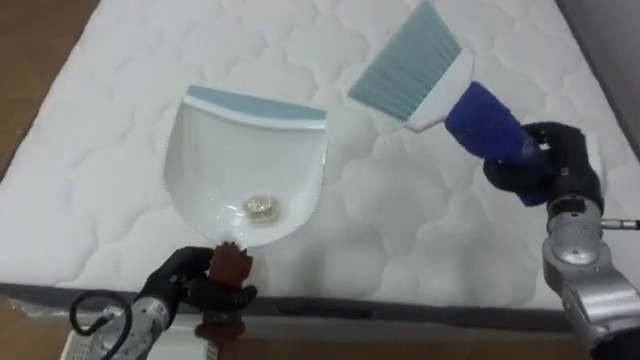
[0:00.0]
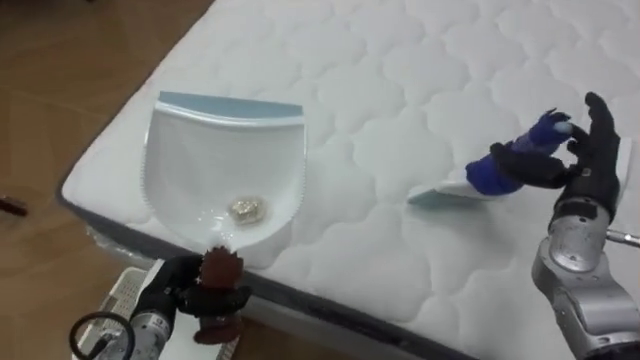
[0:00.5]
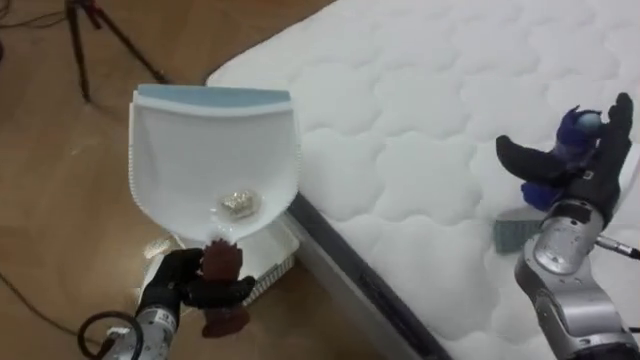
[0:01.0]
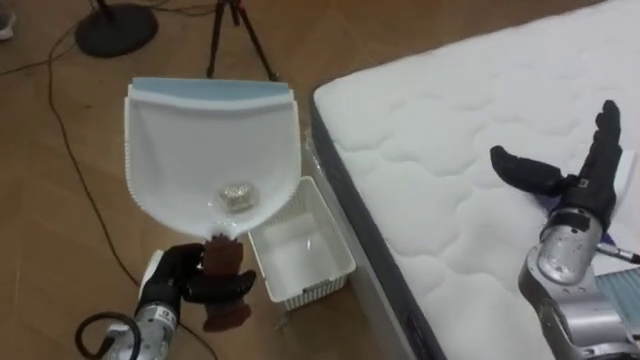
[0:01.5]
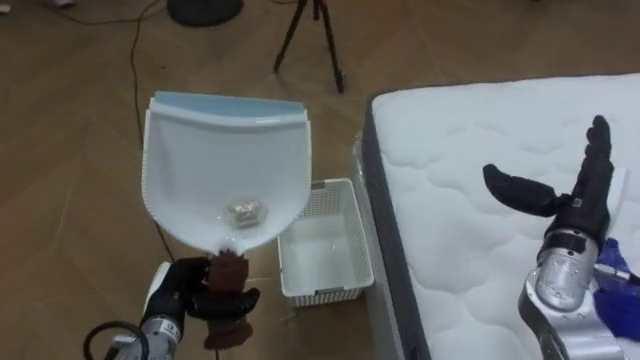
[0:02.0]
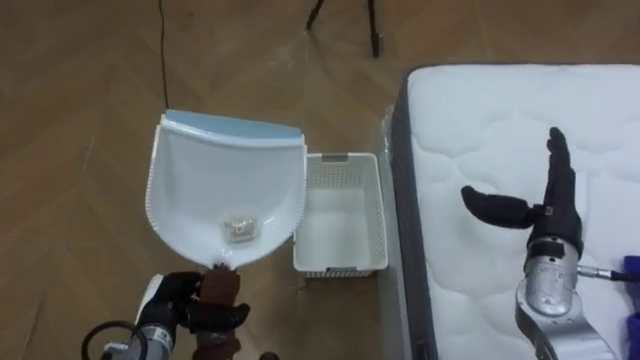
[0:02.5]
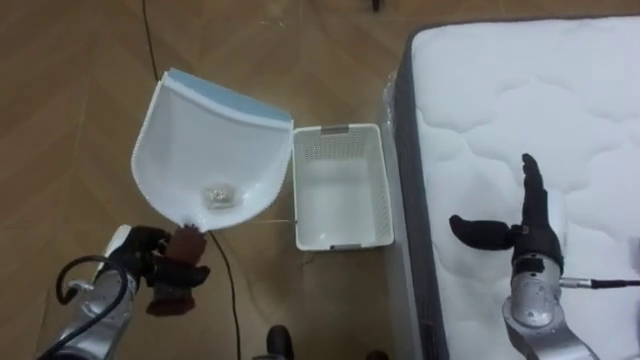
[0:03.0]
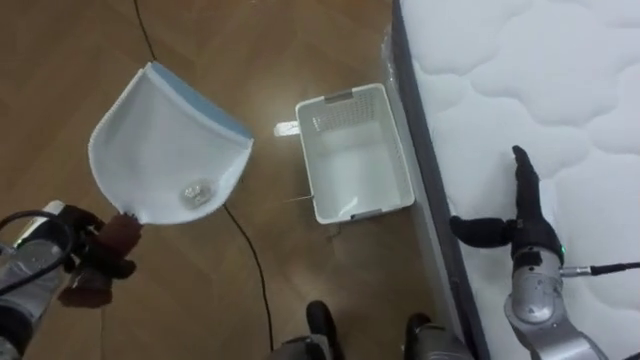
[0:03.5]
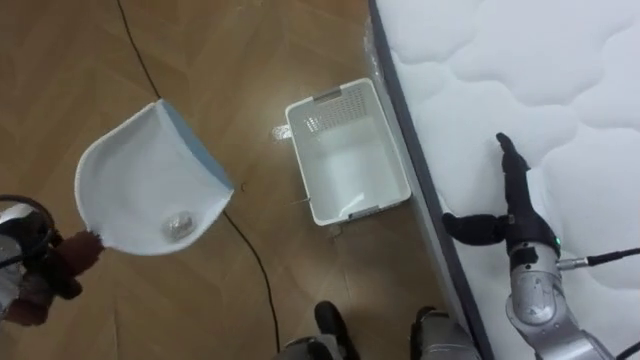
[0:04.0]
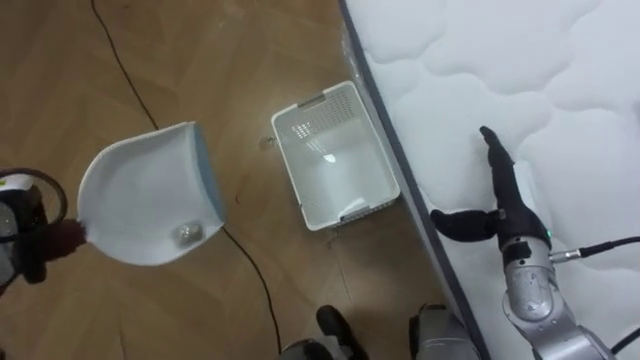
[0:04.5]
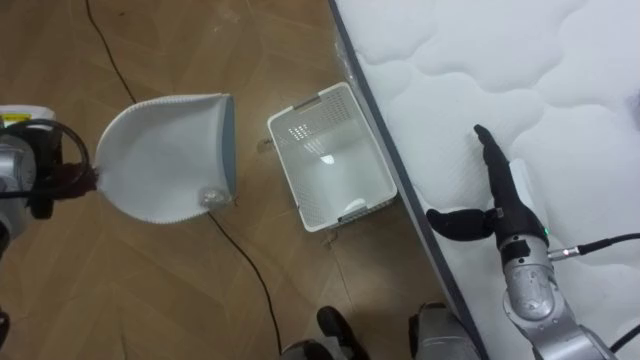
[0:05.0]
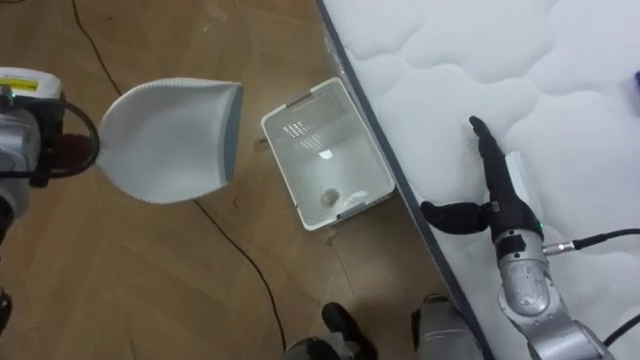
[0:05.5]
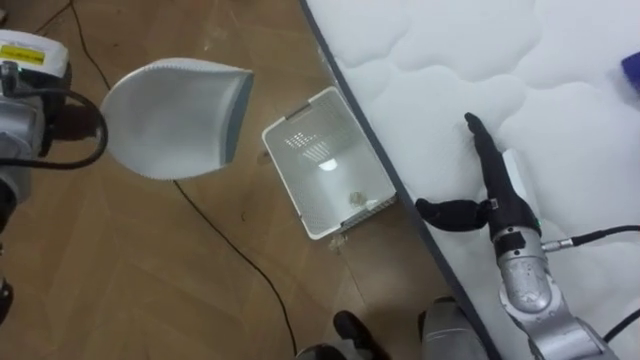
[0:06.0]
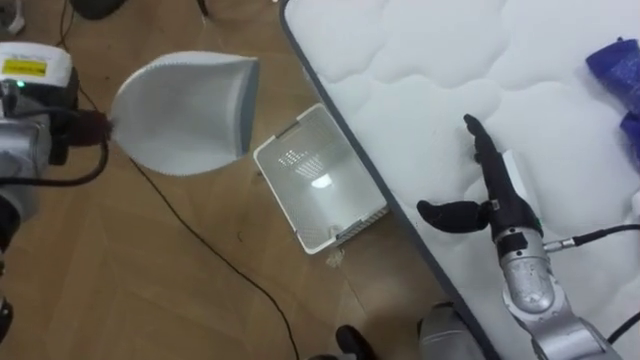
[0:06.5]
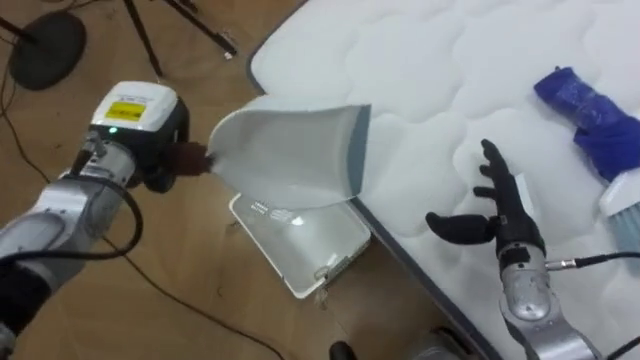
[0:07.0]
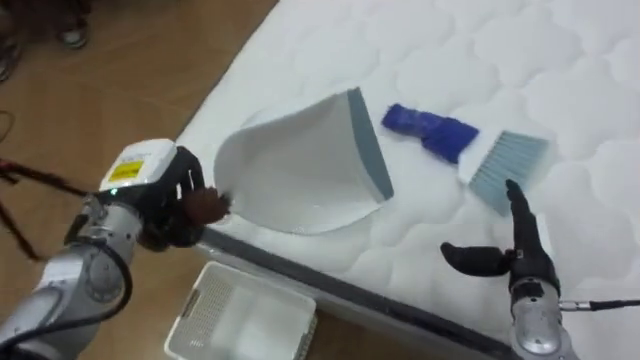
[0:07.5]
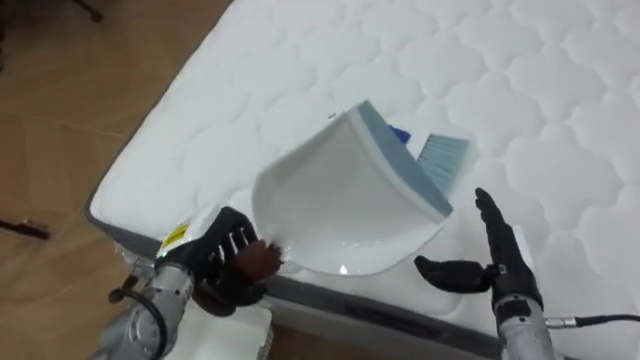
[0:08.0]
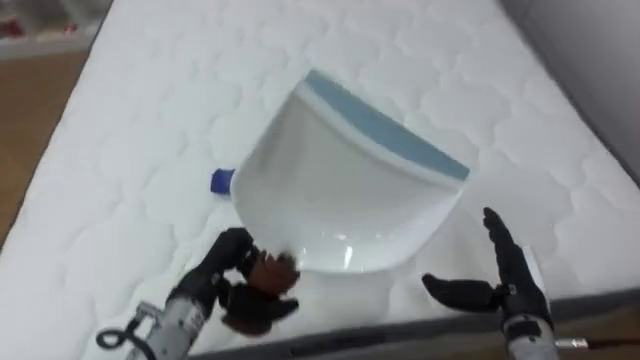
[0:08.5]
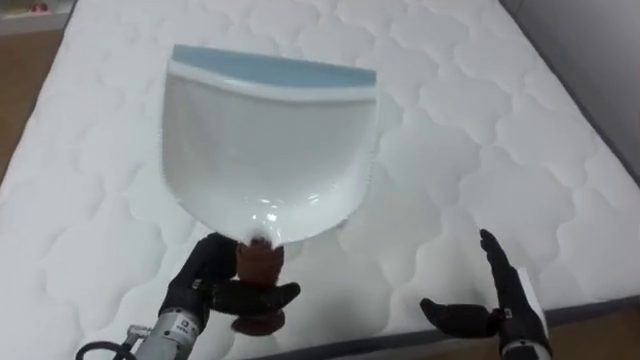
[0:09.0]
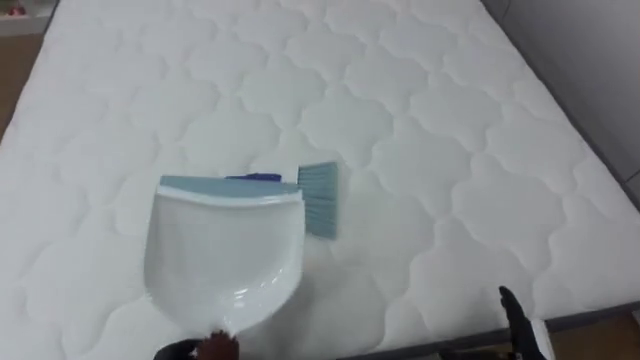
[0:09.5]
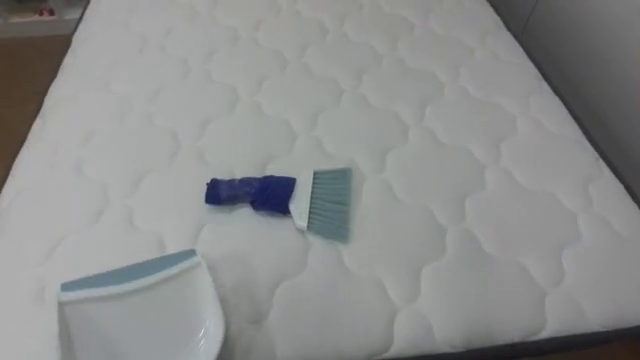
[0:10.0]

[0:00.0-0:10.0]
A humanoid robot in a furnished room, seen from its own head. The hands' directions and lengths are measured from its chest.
Task of the whole recording: Pick up the brush on your right and the dustpan on your left. Use the brush to sweep the crumpled paper on the bed into the dustpan, then turn left and empty it into the basket.
0:00.0 to 0:02.0: The robot's body swings approximately 85 degrees to its left. The right hand is displaced backward by roughly 5 cm, and opens.
0:02.0 to 0:04.0: The right hand moves approximately 5 cm, while the left hand moves to the left, roughly 20 cm.
0:04.0 to 0:06.0: The left hand goes some 20 cm upward and forward.
0:06.0 to 0:08.0: The robot's body swings about 65 degrees to its right. The right hand heads backward and downward, covering roughly 10 cm. The left hand shifts roughly 25 cm to the right, downward and backward.
0:08.0 to 0:10.0: The robot faces approximately 30 degrees further to its right.

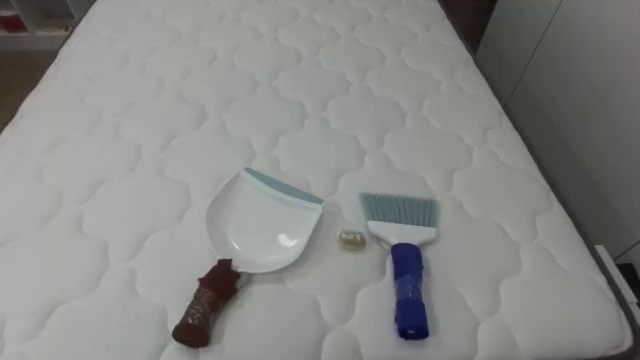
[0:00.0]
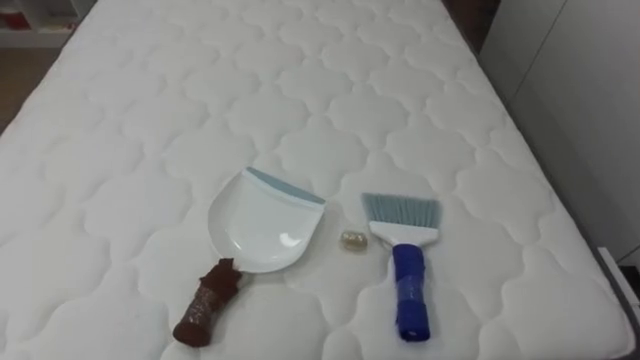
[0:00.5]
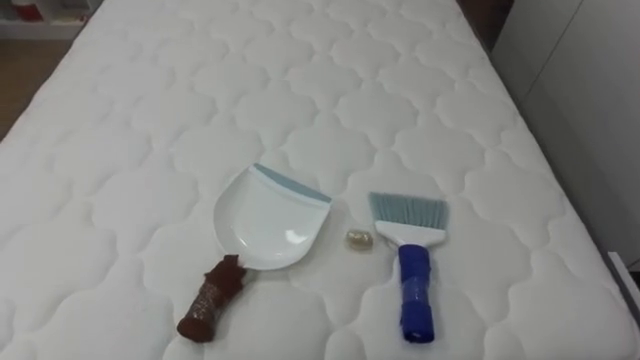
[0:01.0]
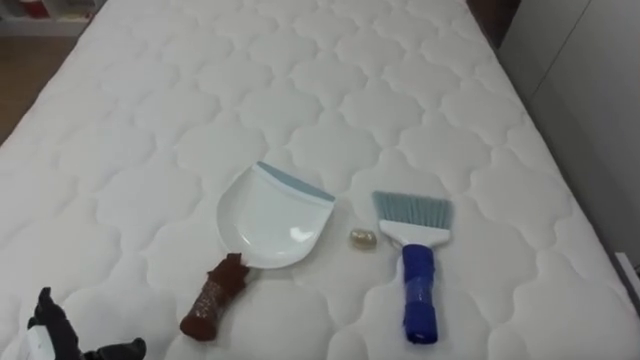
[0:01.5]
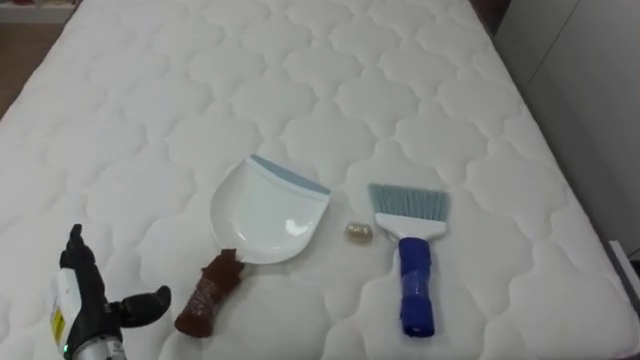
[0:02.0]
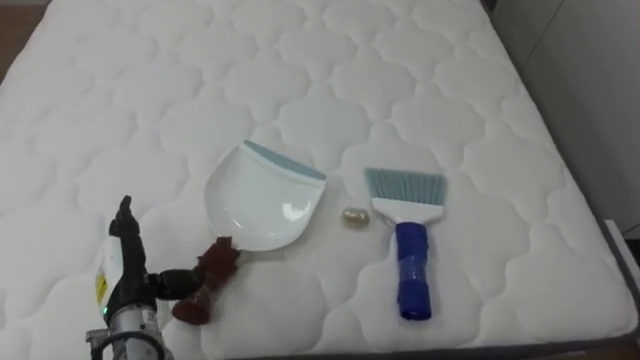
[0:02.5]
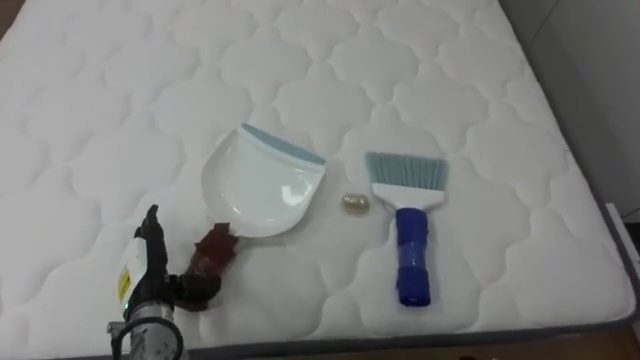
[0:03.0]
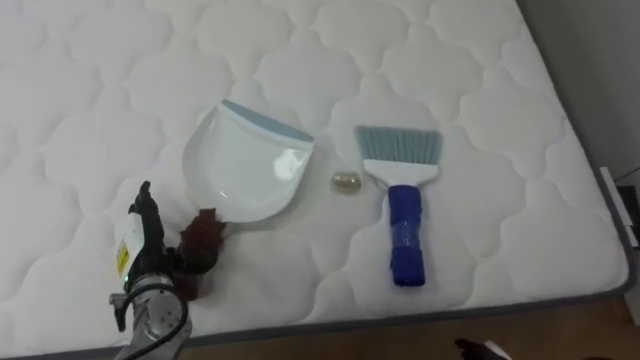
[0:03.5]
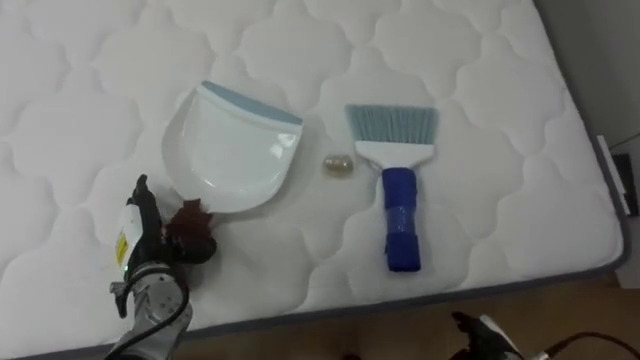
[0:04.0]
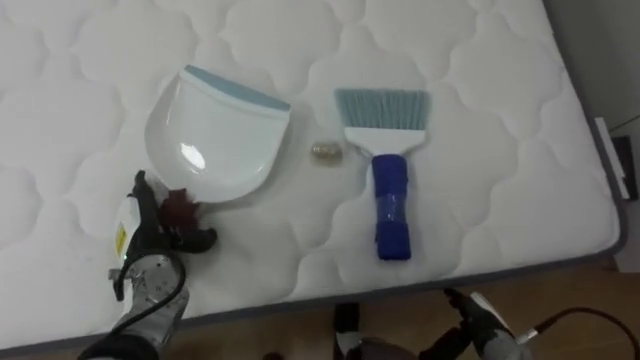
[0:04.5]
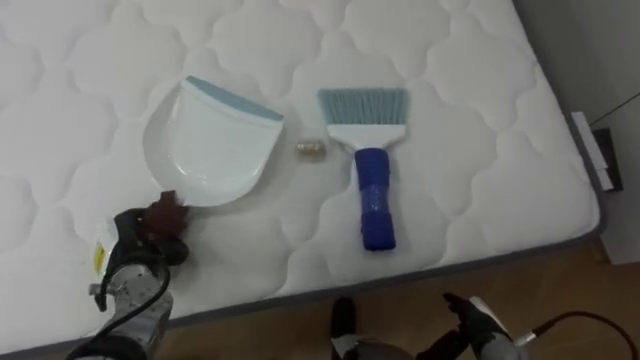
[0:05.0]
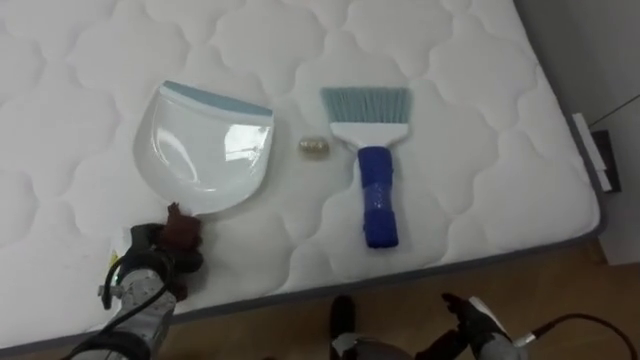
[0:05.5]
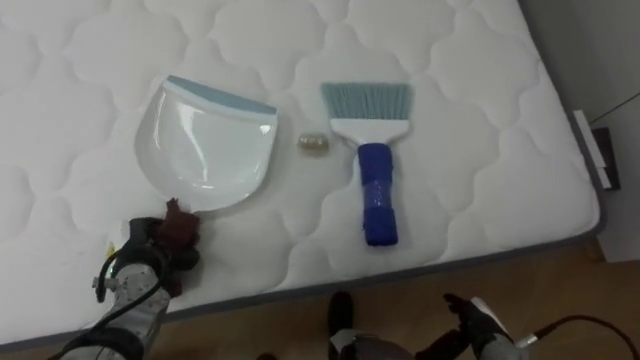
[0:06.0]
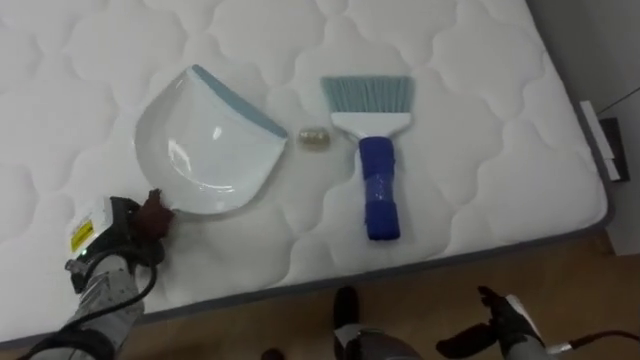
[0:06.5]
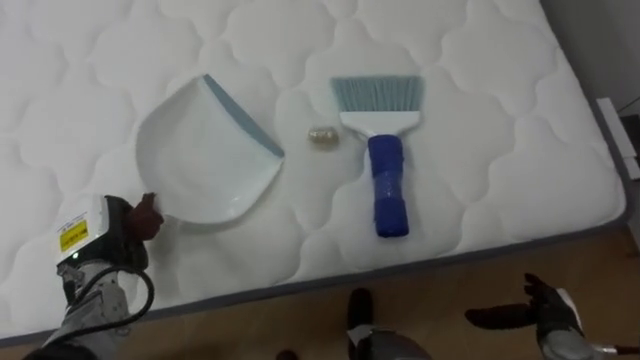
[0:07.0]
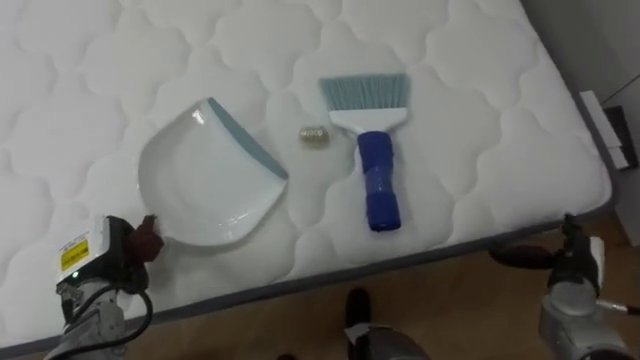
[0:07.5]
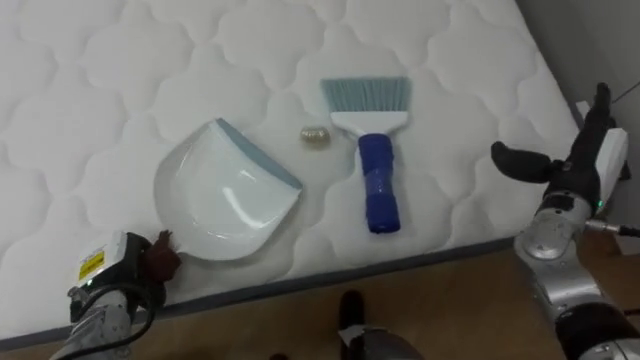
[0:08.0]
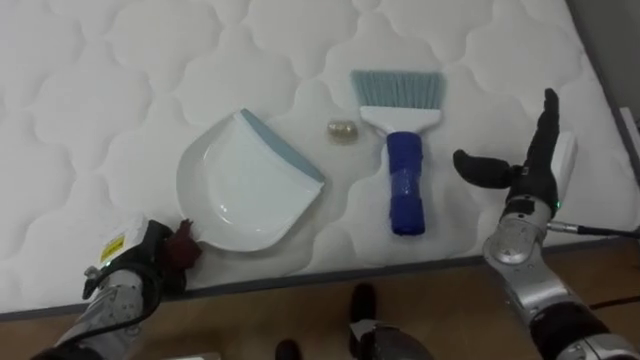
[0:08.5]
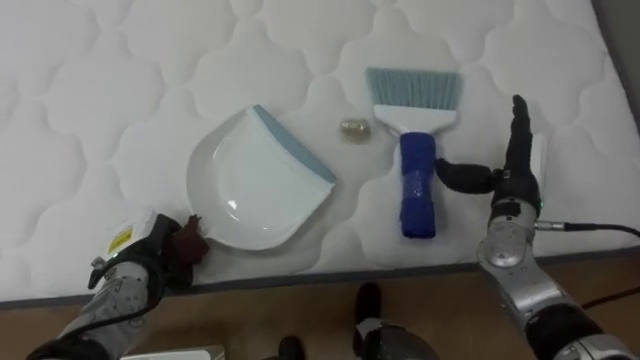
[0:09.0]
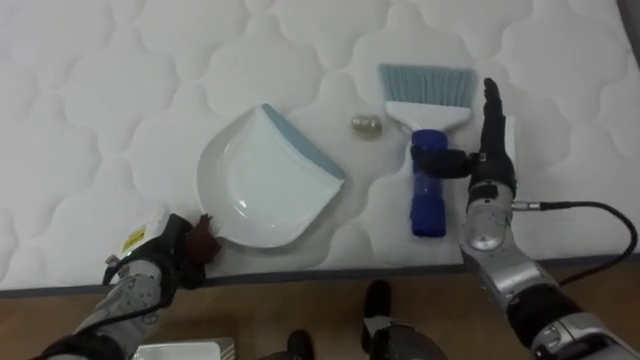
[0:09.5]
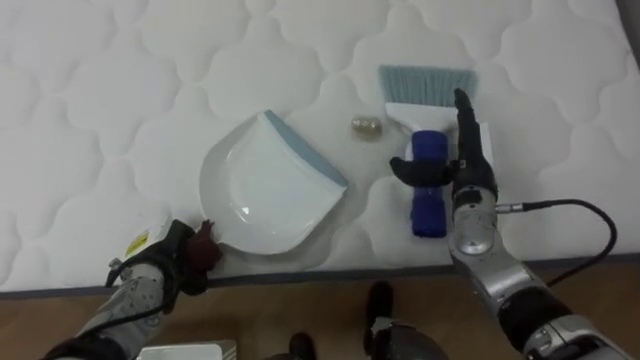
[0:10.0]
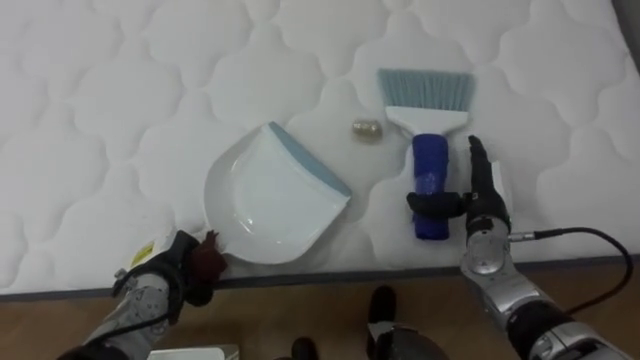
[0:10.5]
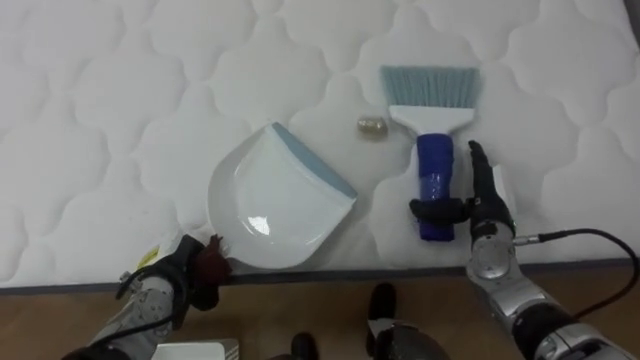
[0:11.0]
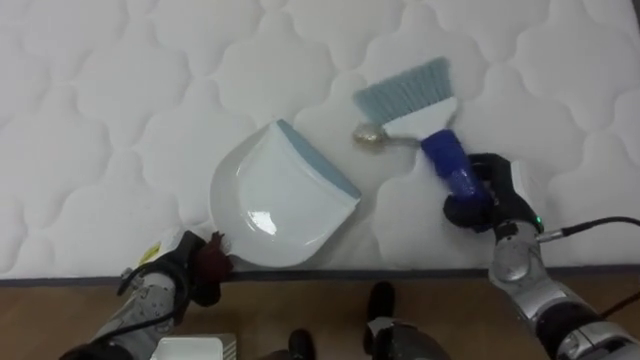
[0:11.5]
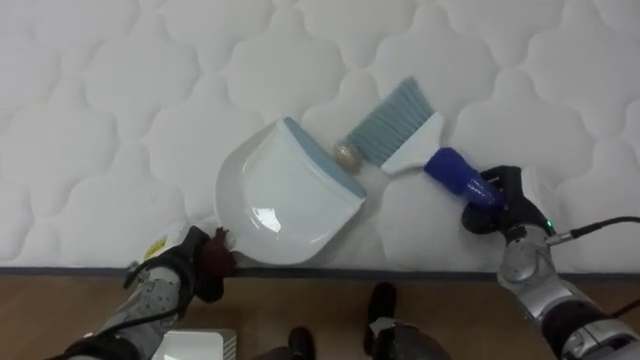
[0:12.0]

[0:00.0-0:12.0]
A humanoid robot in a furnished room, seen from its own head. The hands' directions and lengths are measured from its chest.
Task of the whole recording: Pick up the brush on your right and the dustpan on your left. Use the brush to sweep the crumpled paper on the bed into the dustpan, then turn left and empty it into the basket.
0:02.0 to 0:04.0: The left hand travels forward and to the right by about 10 cm.
0:04.0 to 0:06.0: The left hand closes its fingers.
0:06.0 to 0:08.0: The right hand travels upward, forward and to the right by about 25 cm.
0:08.0 to 0:10.0: The left hand is displaced to the right by about 5 cm. Meanwhile the right hand is displaced to the left by roughly 10 cm.
0:10.0 to 0:12.0: The right hand moves to the right and downward, some 10 cm, and closes.
